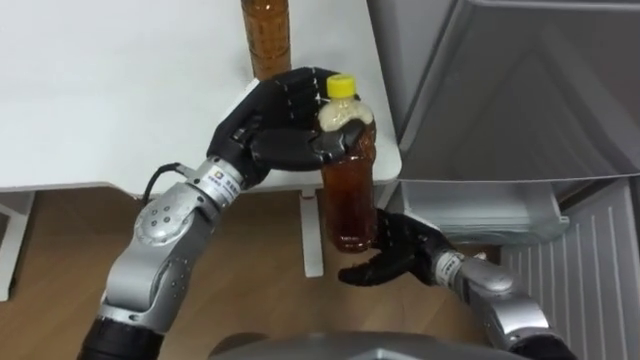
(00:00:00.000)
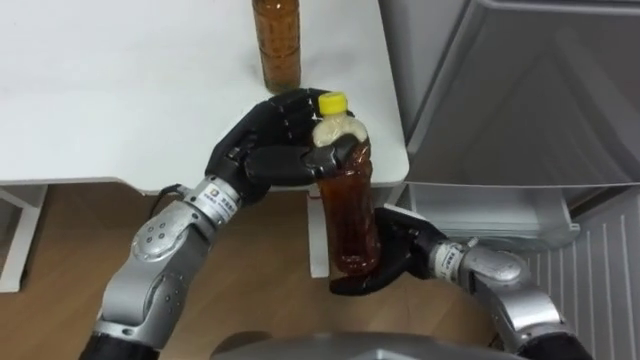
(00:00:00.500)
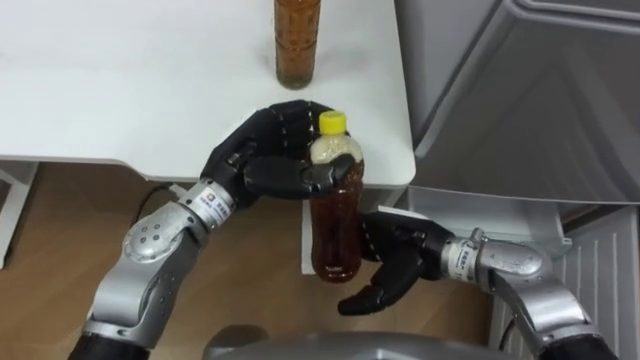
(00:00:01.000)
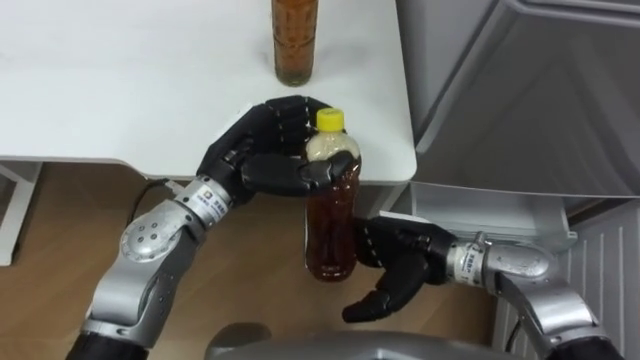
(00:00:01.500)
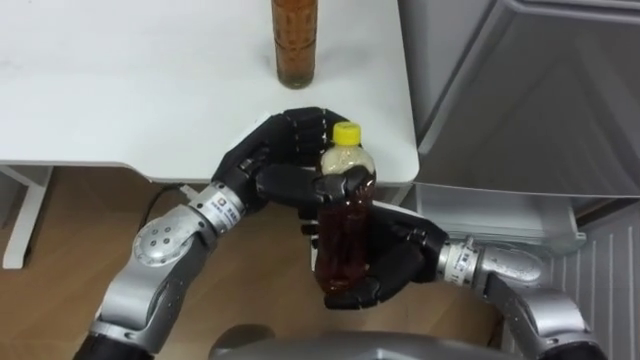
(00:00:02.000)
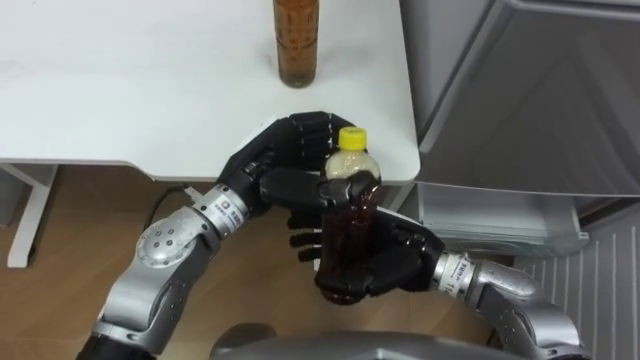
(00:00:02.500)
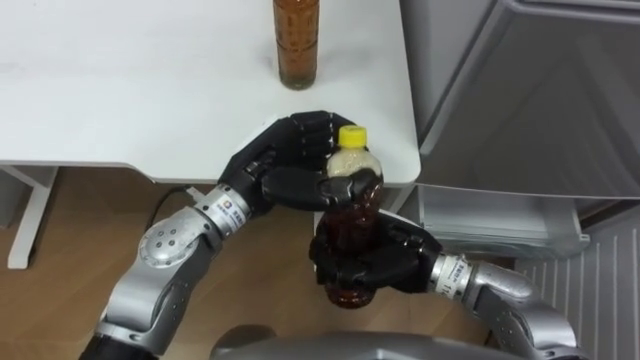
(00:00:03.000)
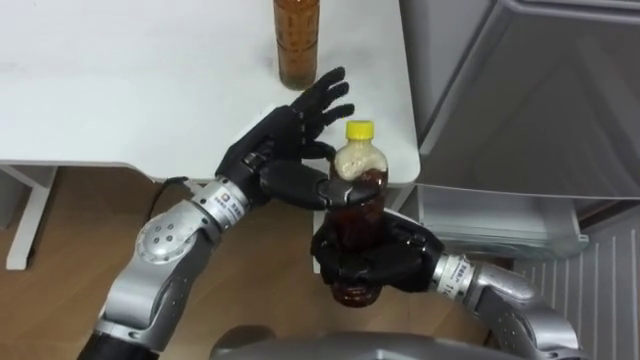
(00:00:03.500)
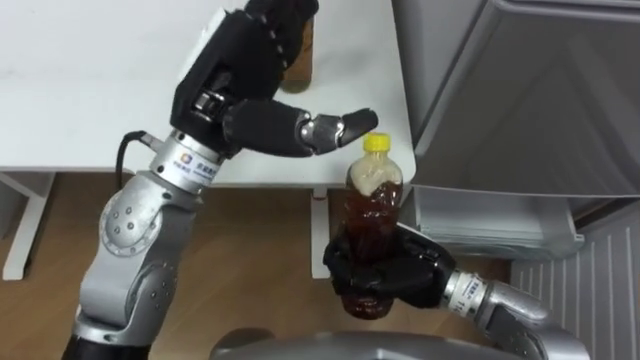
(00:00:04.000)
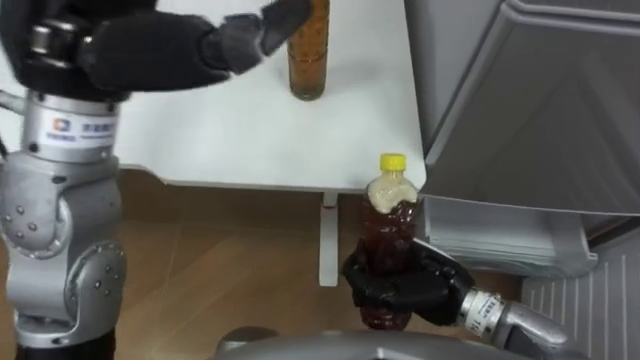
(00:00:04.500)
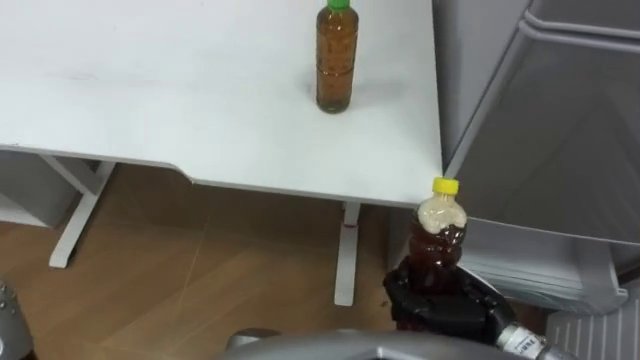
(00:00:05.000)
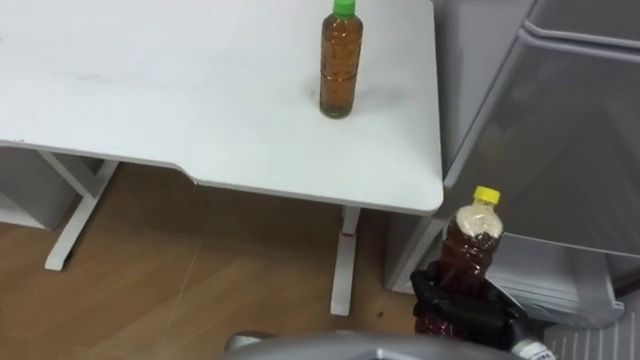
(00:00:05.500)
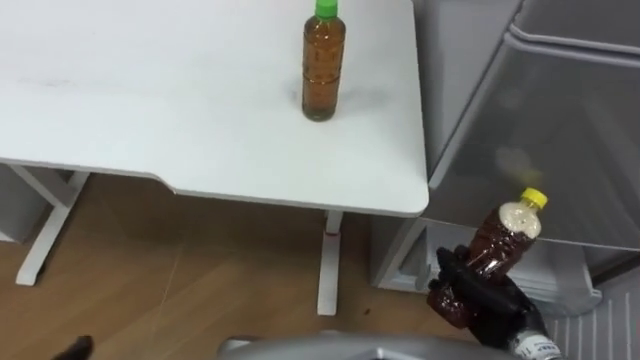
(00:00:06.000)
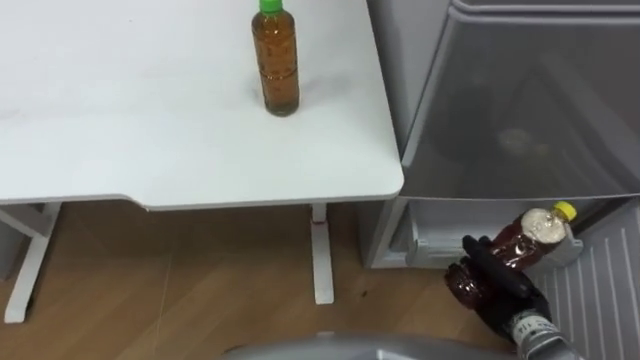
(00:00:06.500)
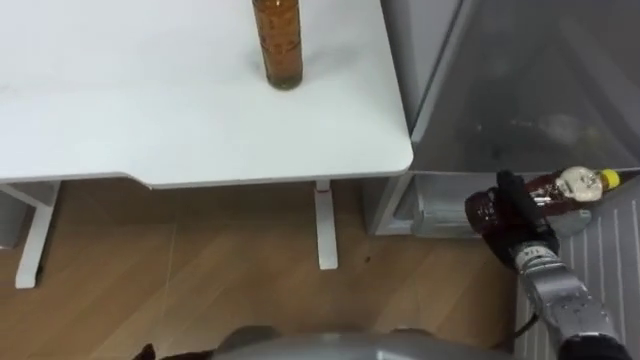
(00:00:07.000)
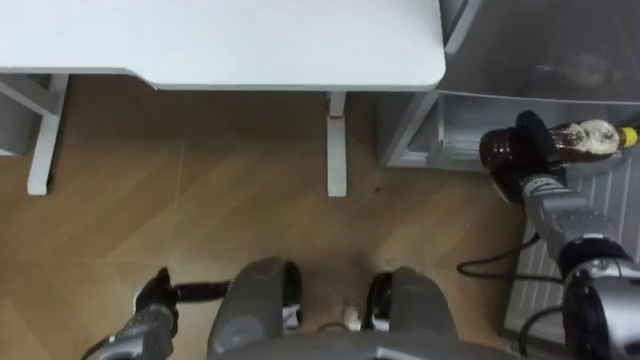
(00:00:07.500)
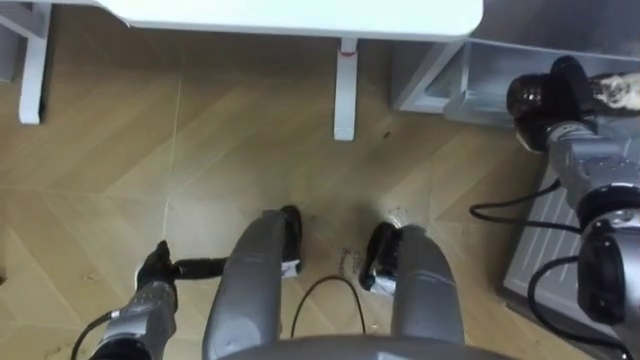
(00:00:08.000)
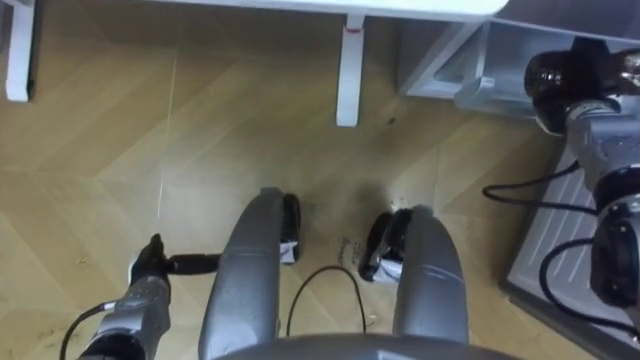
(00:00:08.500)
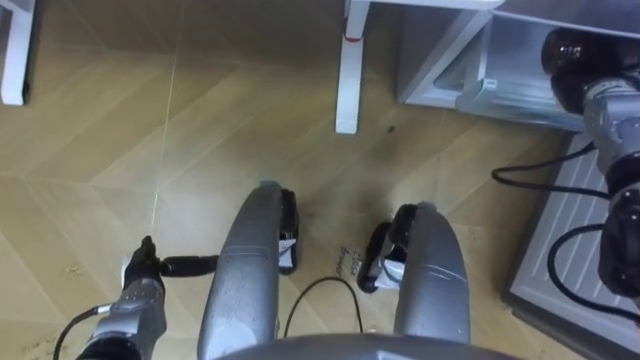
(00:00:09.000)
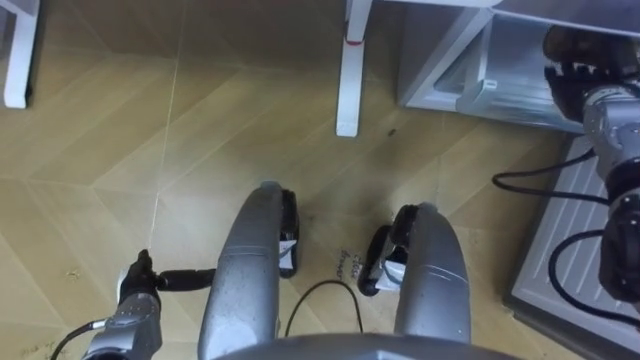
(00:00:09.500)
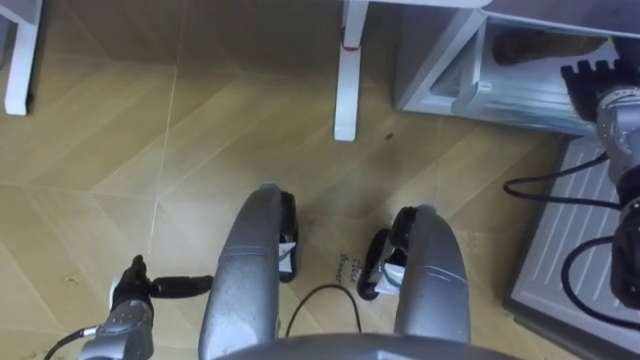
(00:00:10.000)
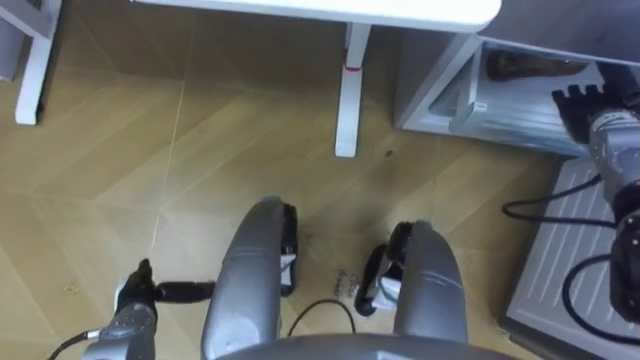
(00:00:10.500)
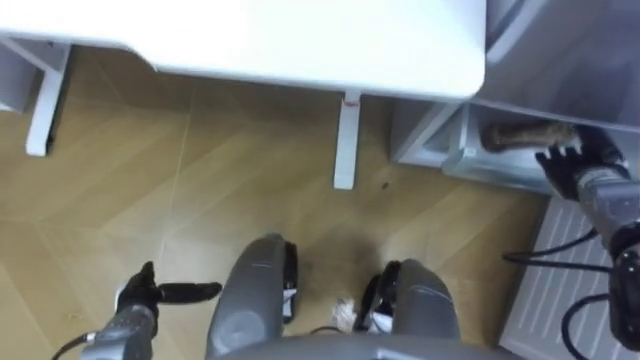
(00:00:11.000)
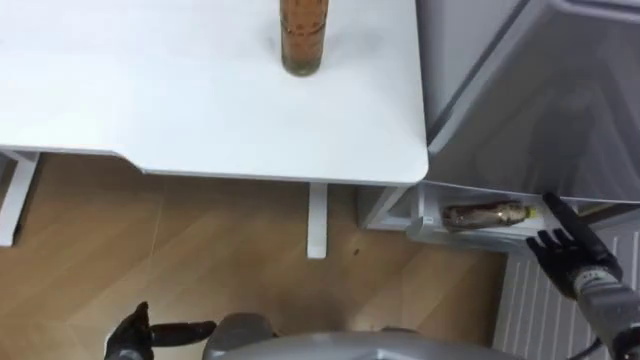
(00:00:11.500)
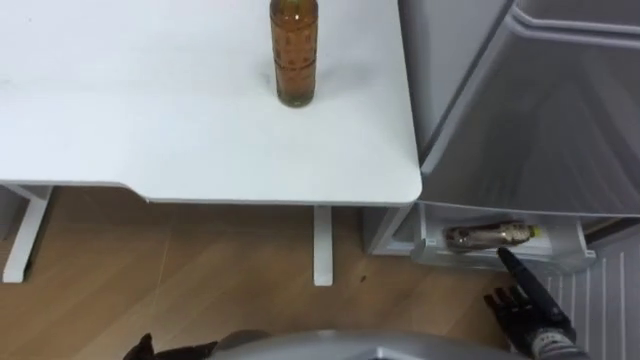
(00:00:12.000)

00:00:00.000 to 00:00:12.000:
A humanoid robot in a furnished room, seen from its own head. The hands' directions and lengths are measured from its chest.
Task of the whole recording: Place the drink on the table on the bottom shelf of the refrigerator, then close the drawer and the refrigerator door.
00:00:00.000 to 00:00:02.000: The right hand heads upward, covering roughly 10 cm.
00:00:02.000 to 00:00:04.000: The right hand closes up; the left hand travels upward by some 10 cm, and opens up.
00:00:04.000 to 00:00:06.000: The right hand moves to the right, downward and backward, approximately 15 cm.
00:00:06.000 to 00:00:08.000: The right hand travels forward by about 25 cm.
00:00:08.000 to 00:00:10.000: The right hand heads upward, covering roughly 5 cm, and opens.
00:00:10.000 to 00:00:12.000: The right hand travels backward and downward by about 35 cm.

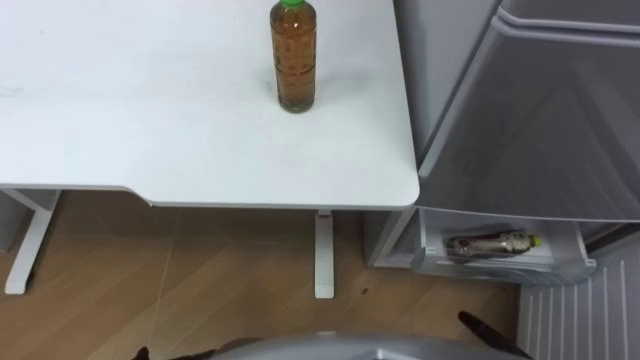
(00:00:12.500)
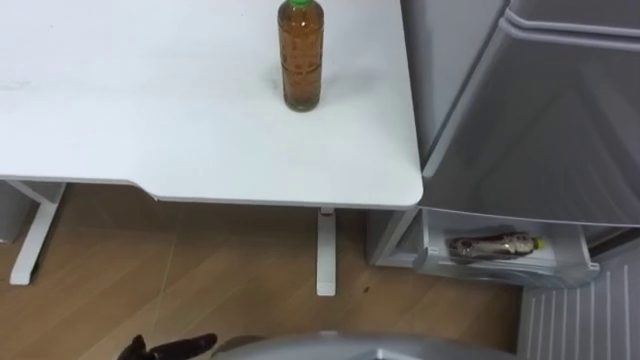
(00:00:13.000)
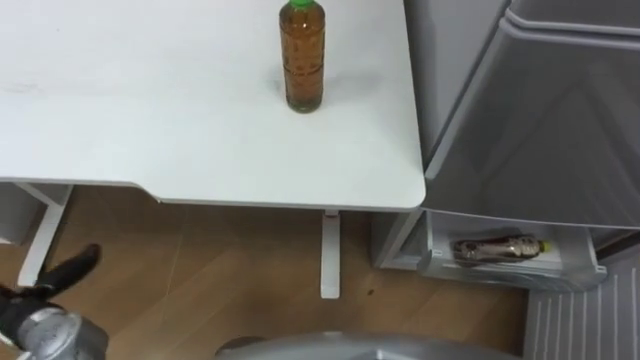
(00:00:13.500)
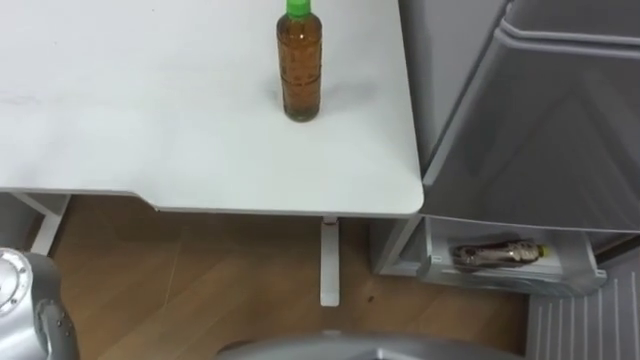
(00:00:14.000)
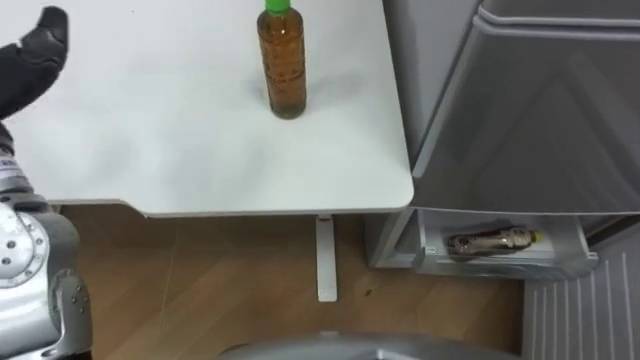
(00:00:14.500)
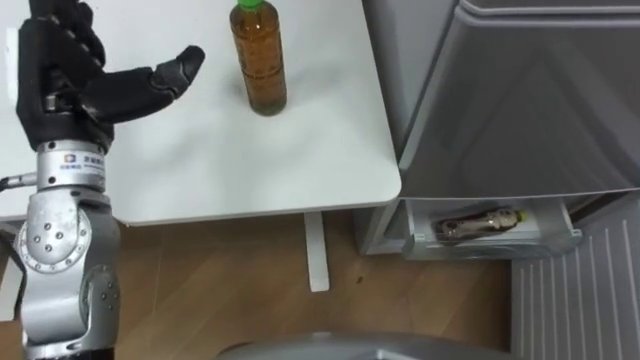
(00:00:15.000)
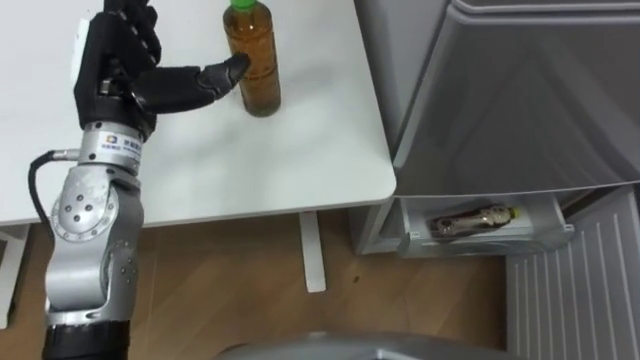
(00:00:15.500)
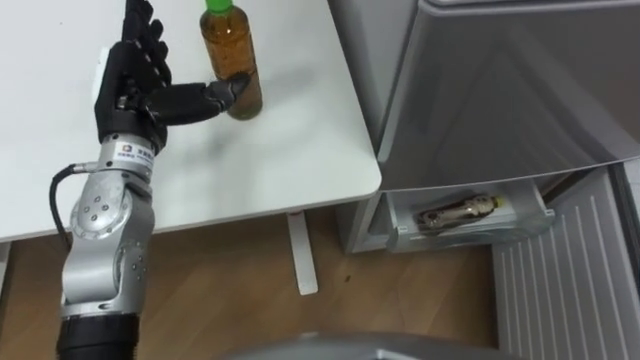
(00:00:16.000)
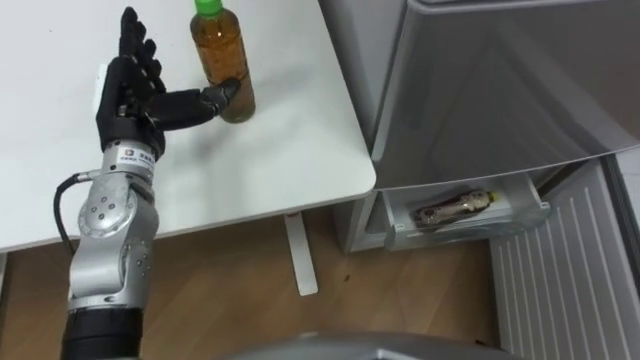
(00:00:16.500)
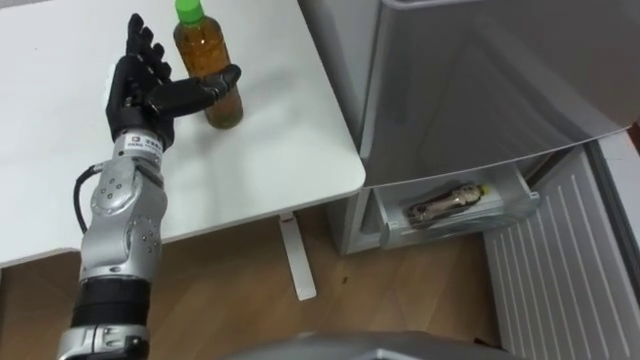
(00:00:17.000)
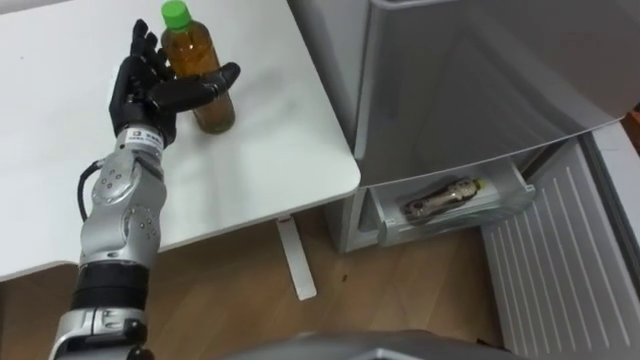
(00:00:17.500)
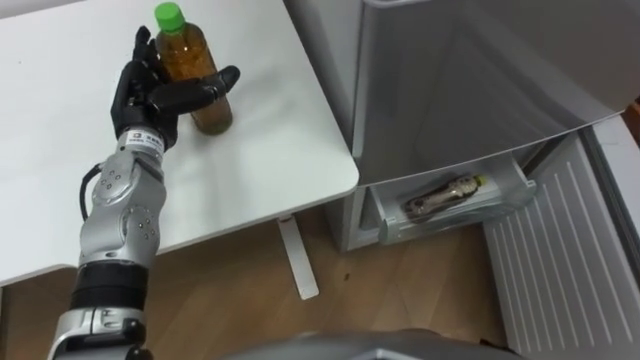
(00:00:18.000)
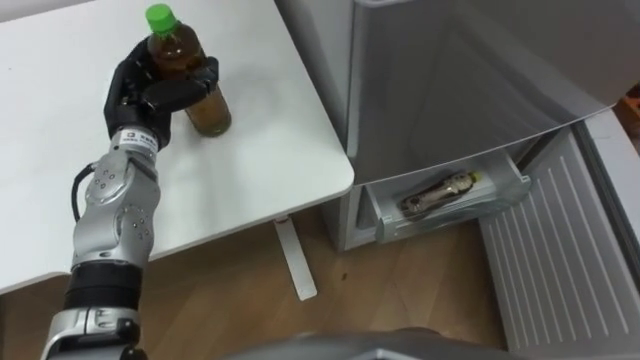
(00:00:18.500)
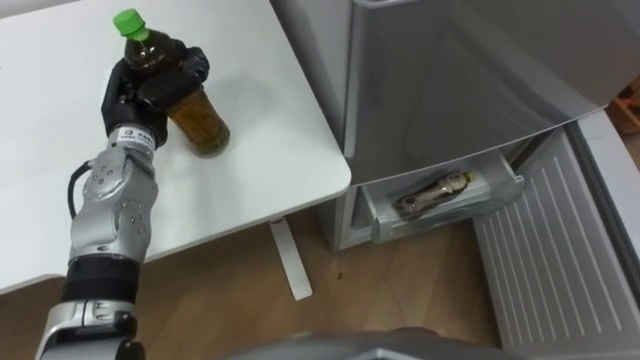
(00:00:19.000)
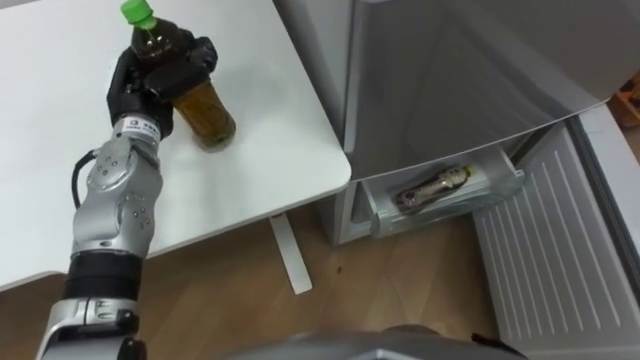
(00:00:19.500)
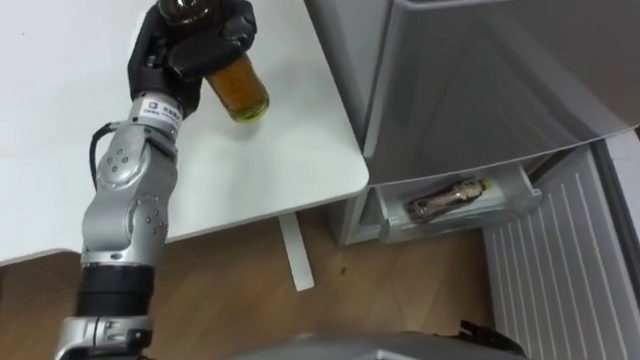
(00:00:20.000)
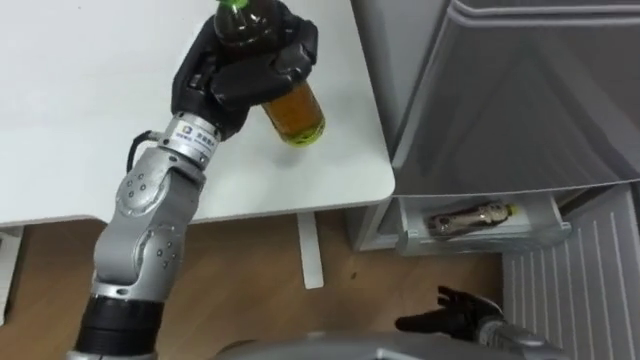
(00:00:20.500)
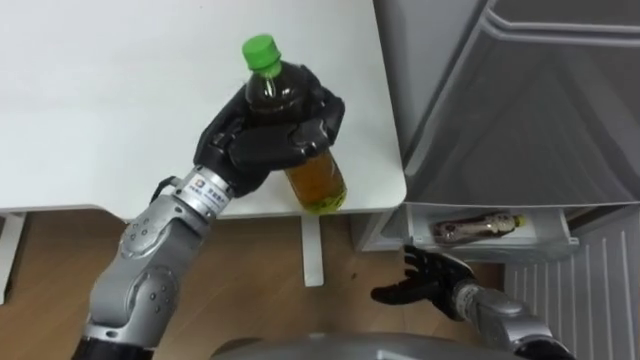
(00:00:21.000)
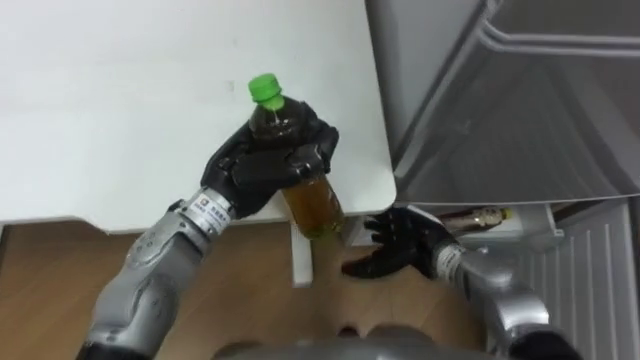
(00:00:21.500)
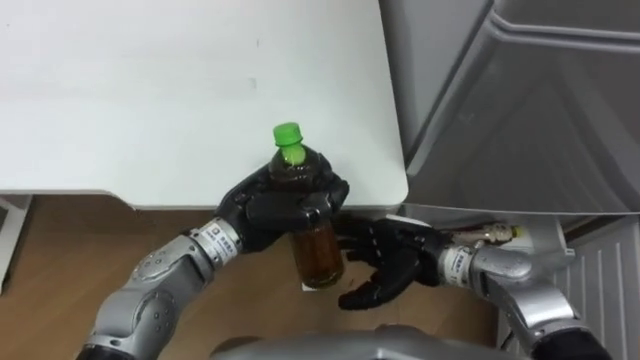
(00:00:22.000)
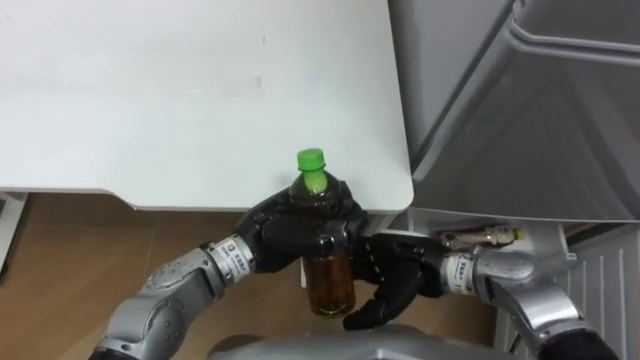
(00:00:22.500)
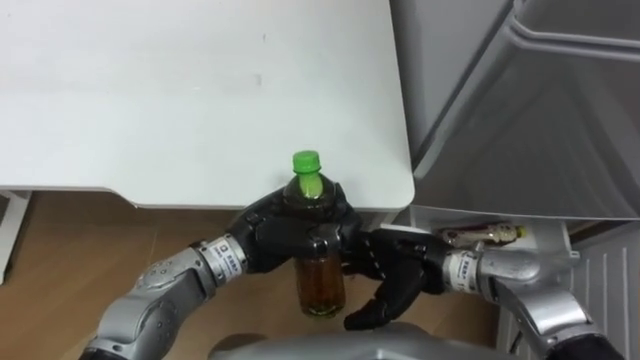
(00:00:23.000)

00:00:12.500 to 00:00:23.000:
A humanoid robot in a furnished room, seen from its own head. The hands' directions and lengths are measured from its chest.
Task of the whole recording: Place the drink on the table on the bottom shelf of the refrigerator, then close the drawer and the refrigerator door.
00:00:16.500 to 00:00:19.000: The left hand ends up approximately 5 cm from where it was, and closes.
00:00:19.000 to 00:00:21.000: The left hand travels to the right and backward by roughly 15 cm.
00:00:21.000 to 00:00:23.000: The right hand moves upward and to the left, roughly 15 cm, while the left hand shifts approximately 10 cm downward and backward.
